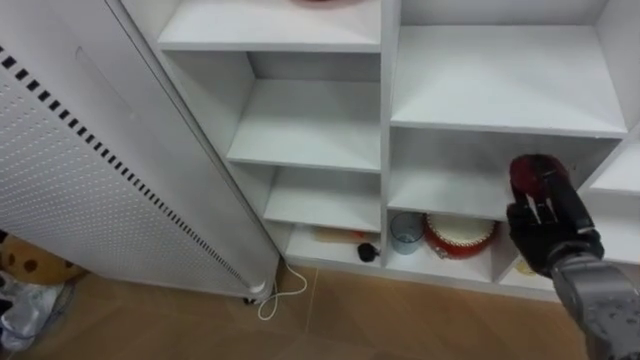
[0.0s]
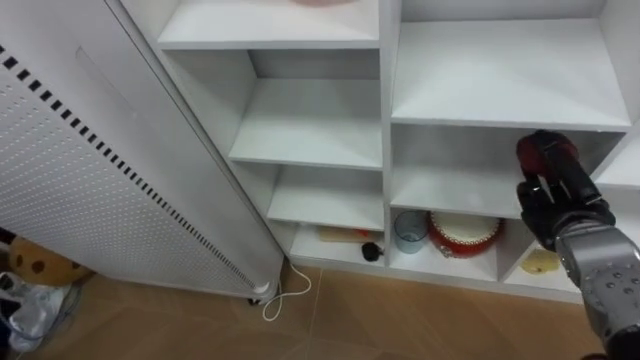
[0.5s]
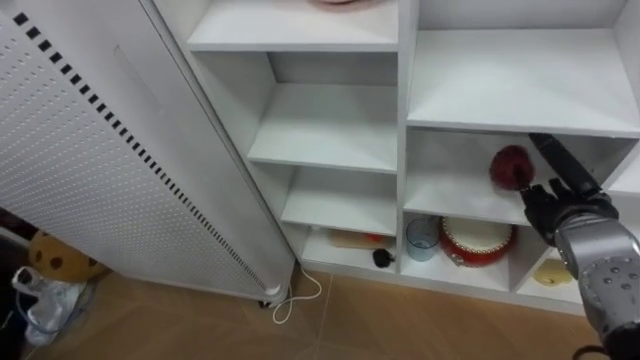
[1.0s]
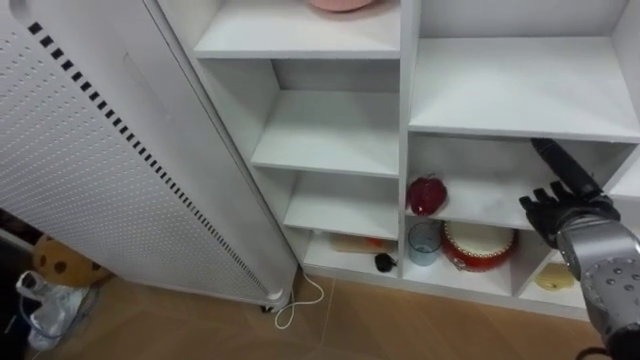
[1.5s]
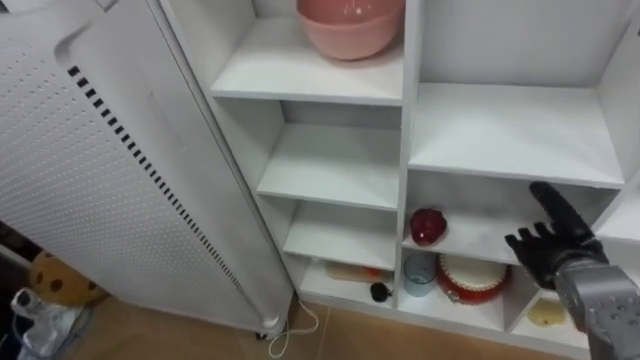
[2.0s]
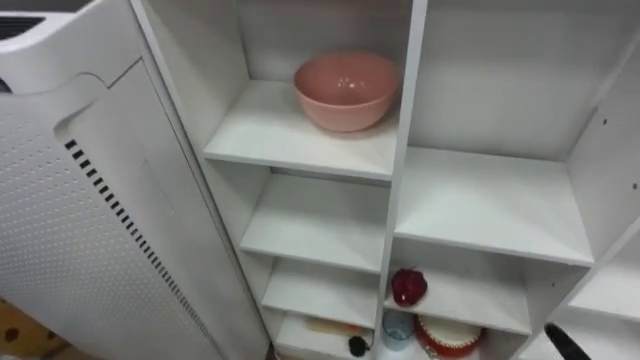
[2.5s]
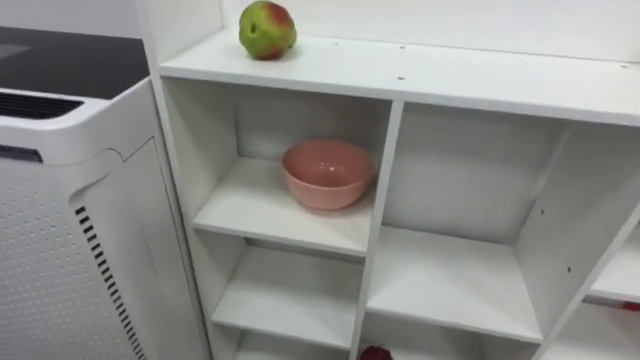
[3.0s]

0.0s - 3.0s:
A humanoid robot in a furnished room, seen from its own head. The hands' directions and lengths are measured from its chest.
Task of the whole recording: Put the apple in the cell in the second column from the left and the second row from the top.
0.0s - 1.5s: The right hand opens.

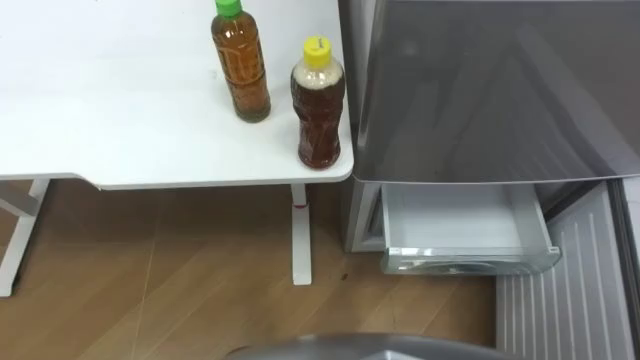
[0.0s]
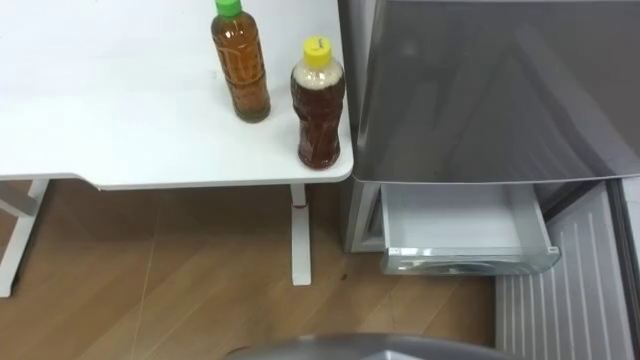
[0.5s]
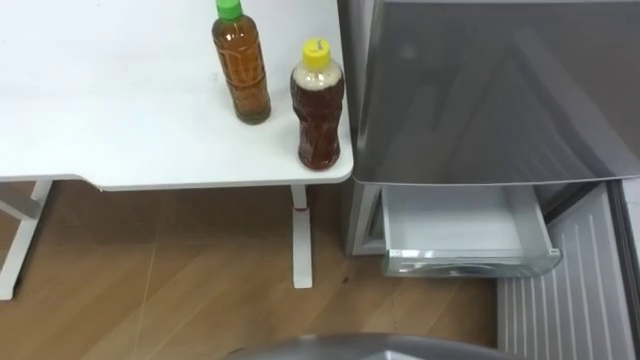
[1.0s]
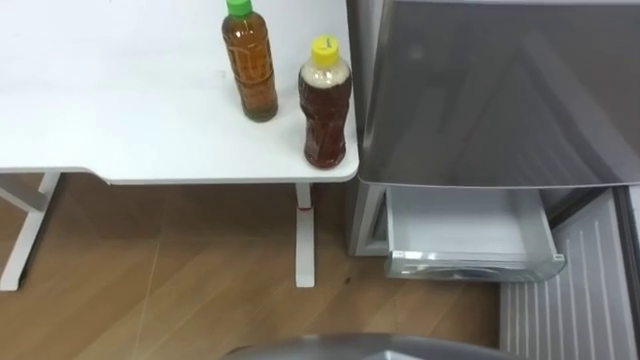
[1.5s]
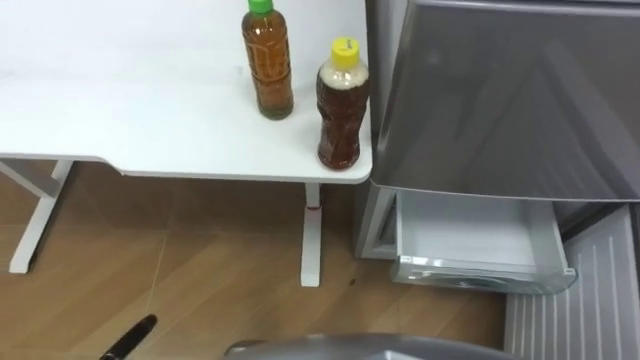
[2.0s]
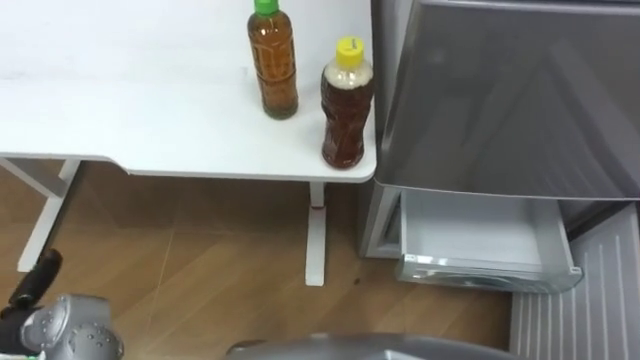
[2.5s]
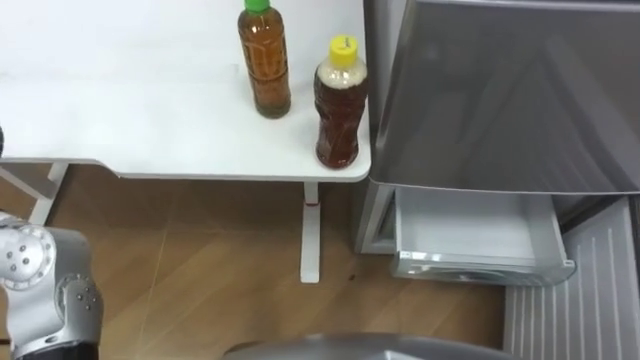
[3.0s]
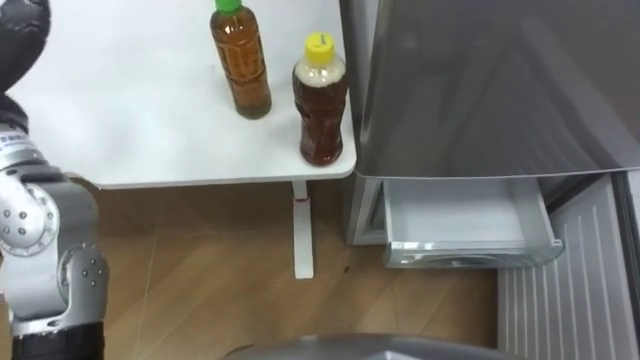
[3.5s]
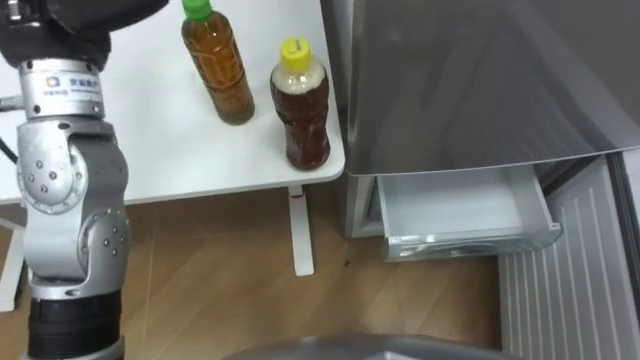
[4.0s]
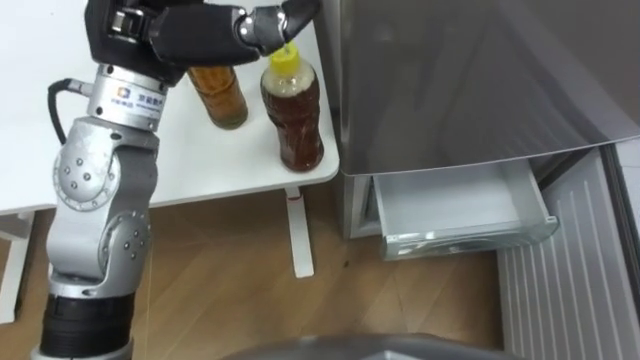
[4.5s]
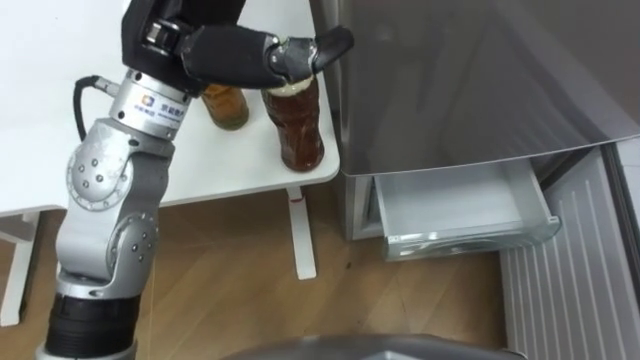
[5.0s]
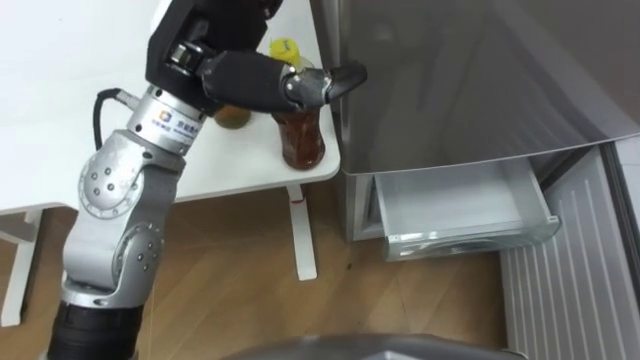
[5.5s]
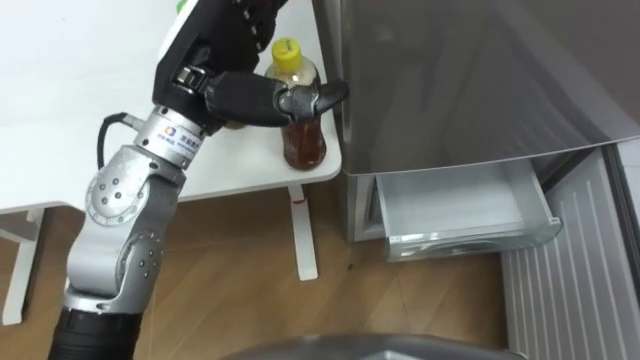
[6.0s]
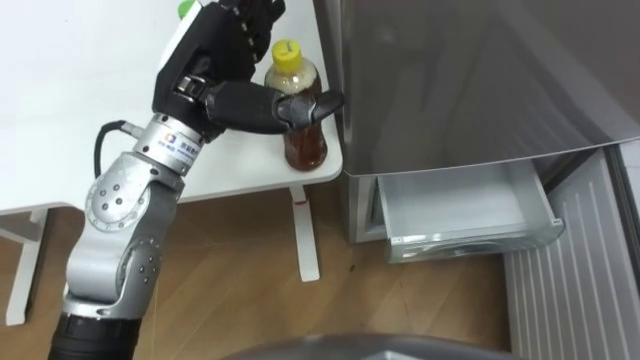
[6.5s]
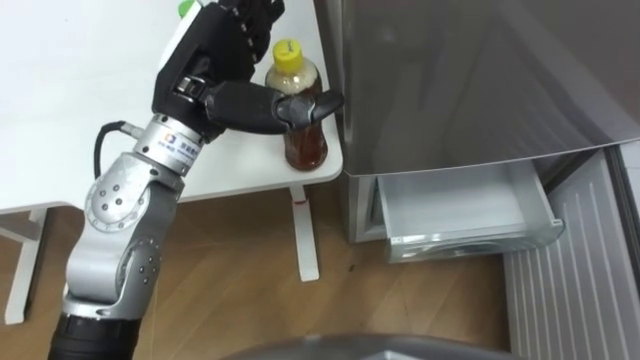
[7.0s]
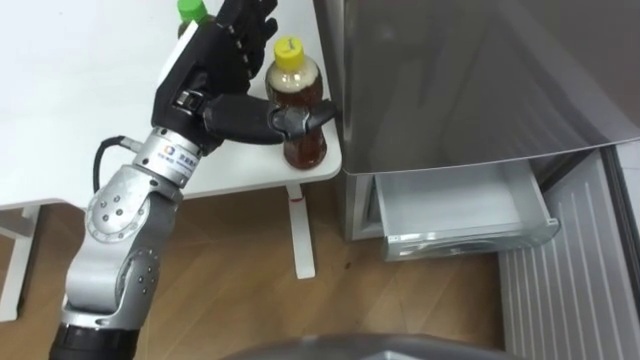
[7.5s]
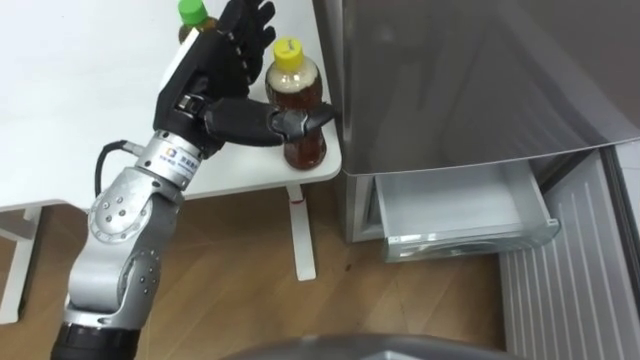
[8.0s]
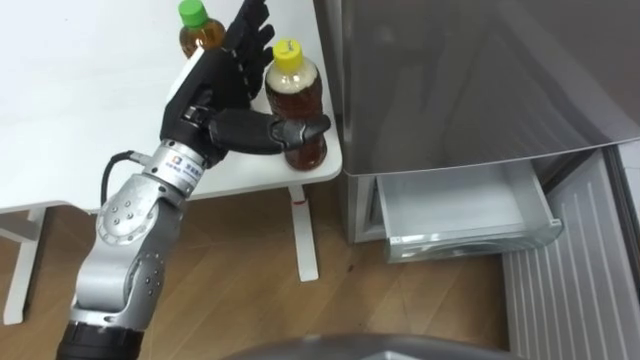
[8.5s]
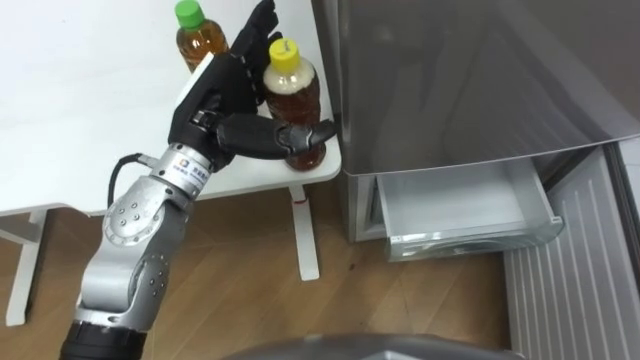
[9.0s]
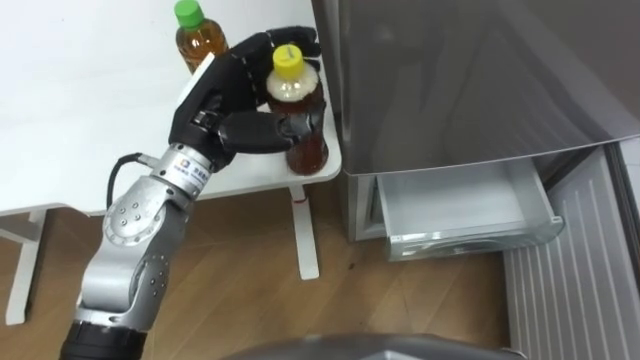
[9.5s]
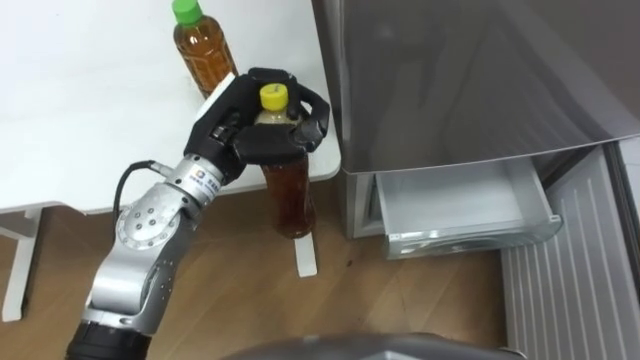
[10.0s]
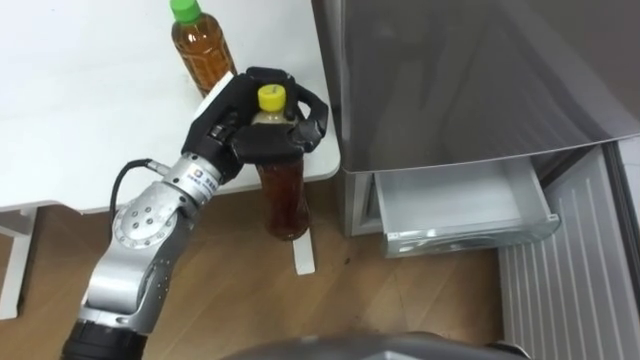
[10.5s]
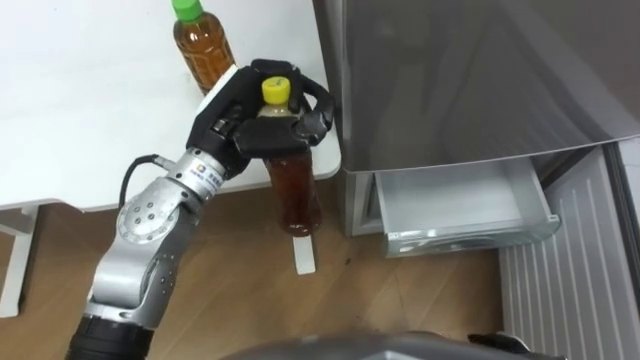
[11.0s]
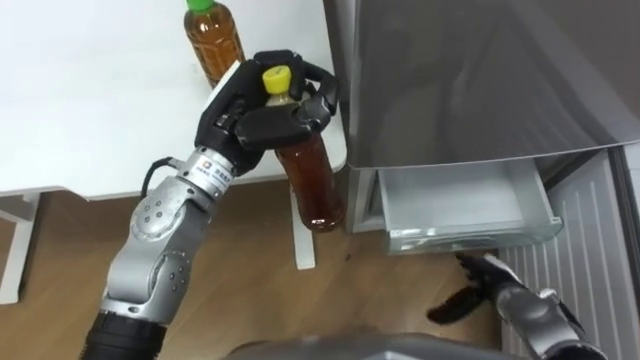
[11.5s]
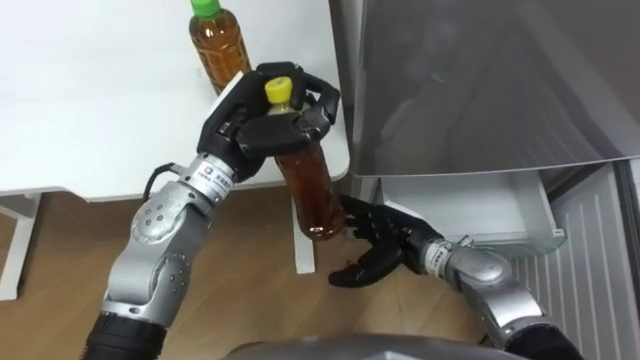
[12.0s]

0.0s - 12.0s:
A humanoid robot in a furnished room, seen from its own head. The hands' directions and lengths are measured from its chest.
Task of the whole recording: Place the drink on the table on the bottom shelf of the refrigerator, then close the drawer and the refrigerator door.
4.0s - 6.0s: The left hand goes about 10 cm to the right and downward.
8.0s - 10.0s: The left hand travels downward by approximately 5 cm, and closes up.

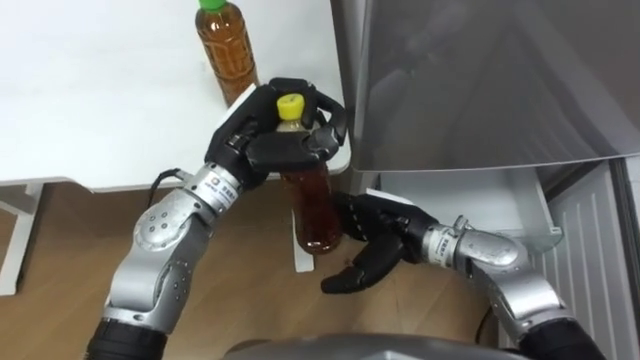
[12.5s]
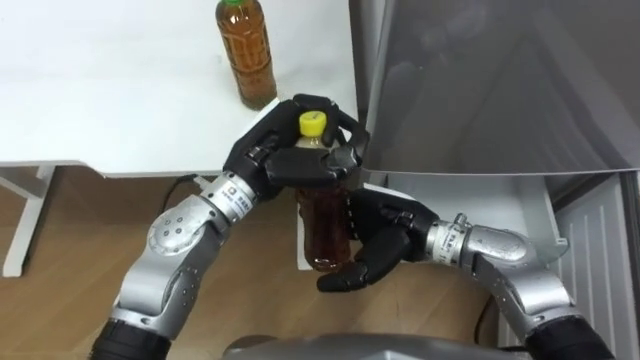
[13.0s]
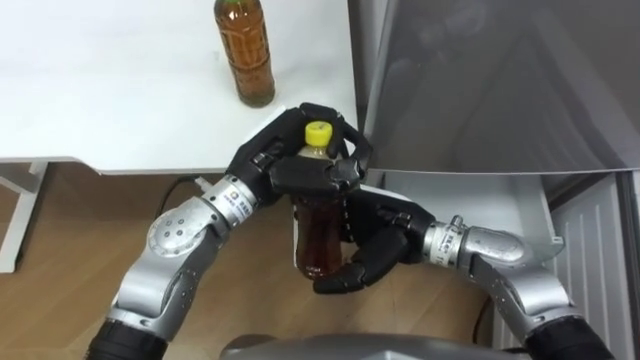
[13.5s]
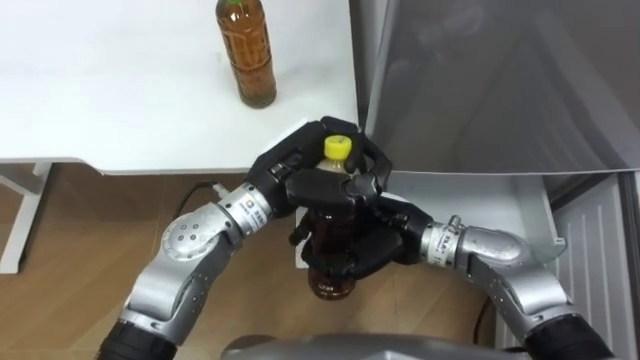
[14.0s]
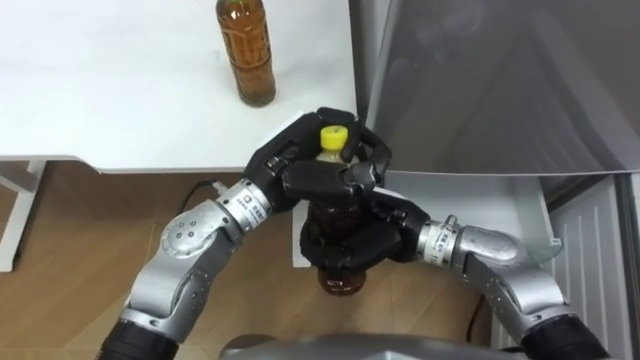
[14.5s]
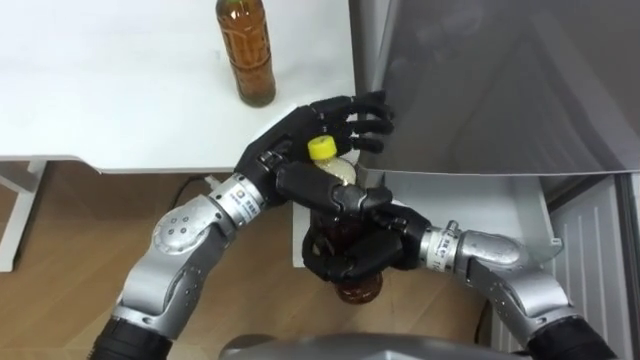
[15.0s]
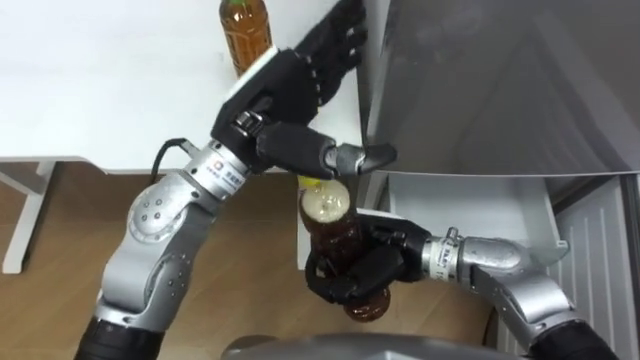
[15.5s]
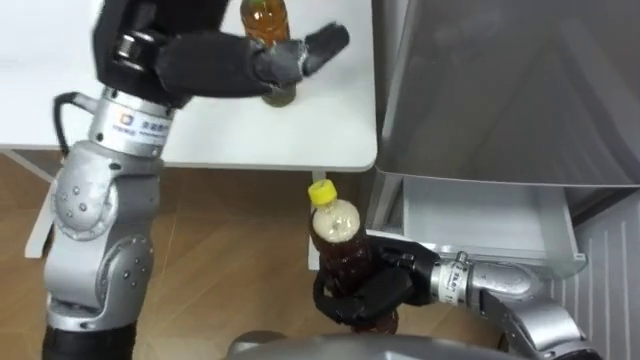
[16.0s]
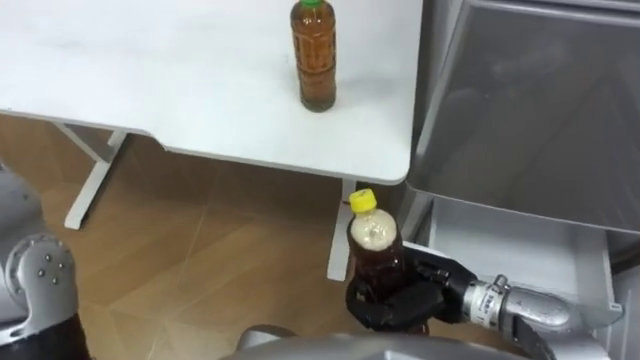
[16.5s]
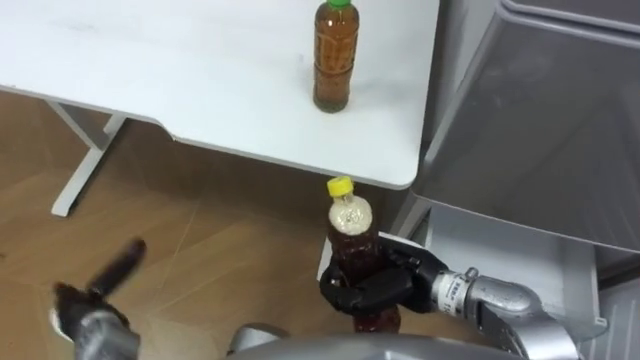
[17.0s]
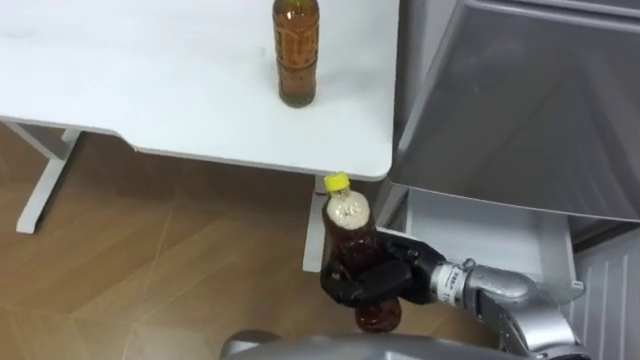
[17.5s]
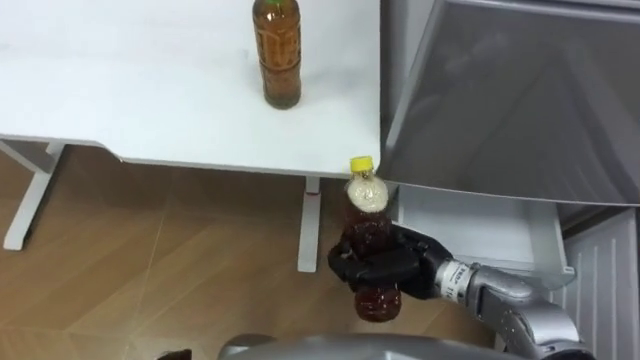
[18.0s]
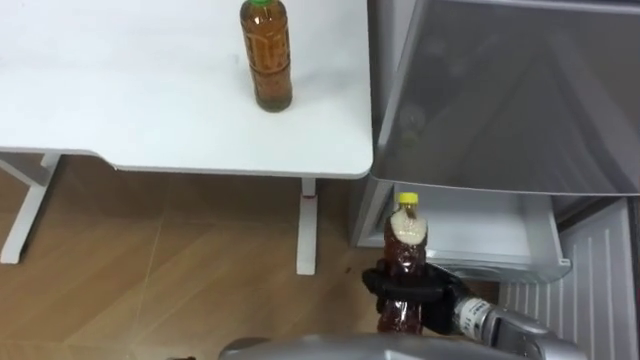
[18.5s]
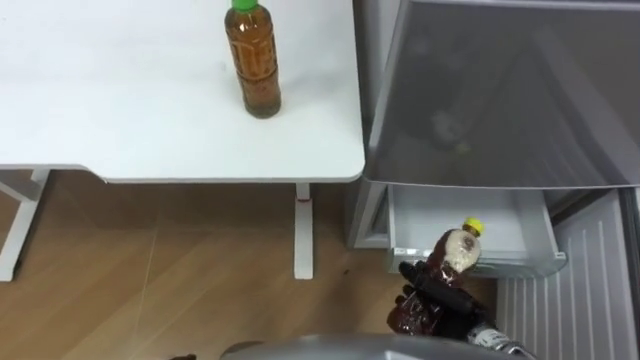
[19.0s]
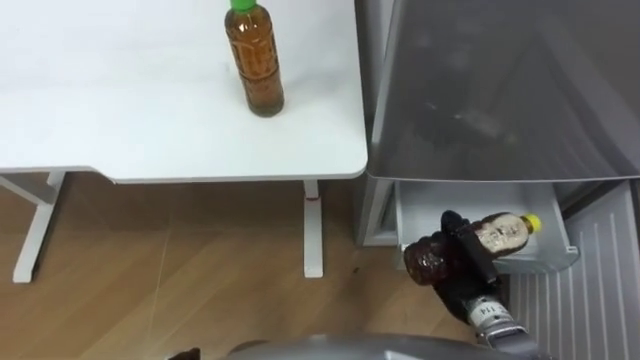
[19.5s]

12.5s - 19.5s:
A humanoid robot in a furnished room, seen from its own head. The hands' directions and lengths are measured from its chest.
Task of the whole recording: Place the drink on the table on the bottom shelf of the refrigerator, then close the drawer and the refrigerator door.
12.5s - 14.5s: The right hand closes; the left hand ends up some 5 cm from where it was.
14.5s - 16.0s: The left hand heads upward and to the left, covering approximately 20 cm, and opens its fingers; the right hand ends up some 5 cm from where it was.
17.5s - 19.5s: The right hand is displaced to the right and downward by about 15 cm.
